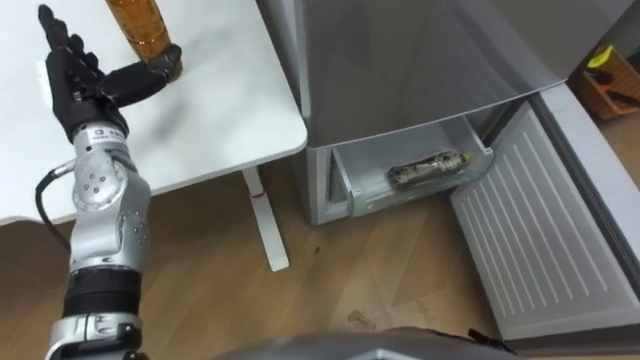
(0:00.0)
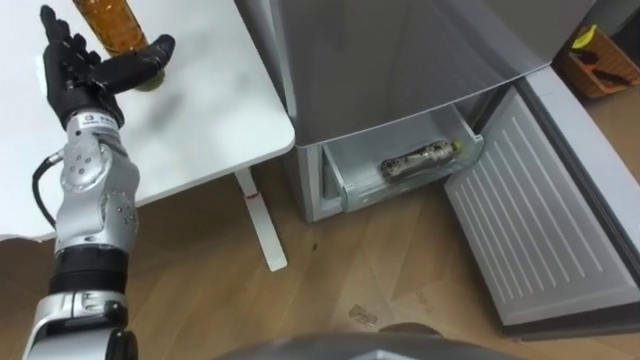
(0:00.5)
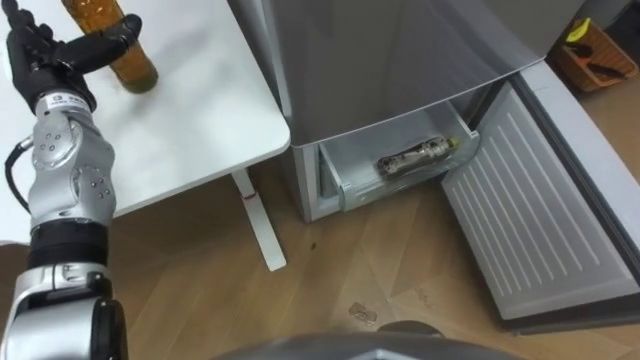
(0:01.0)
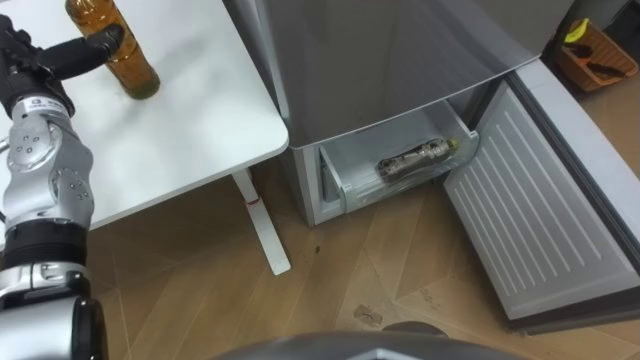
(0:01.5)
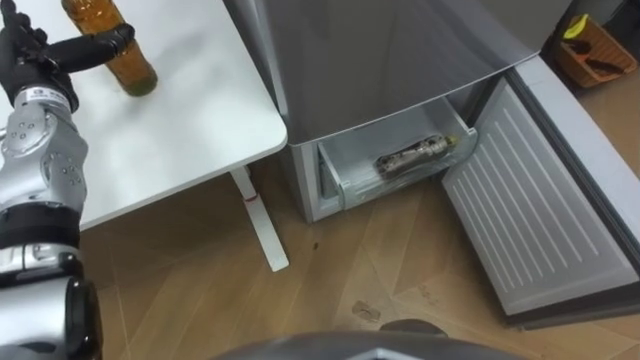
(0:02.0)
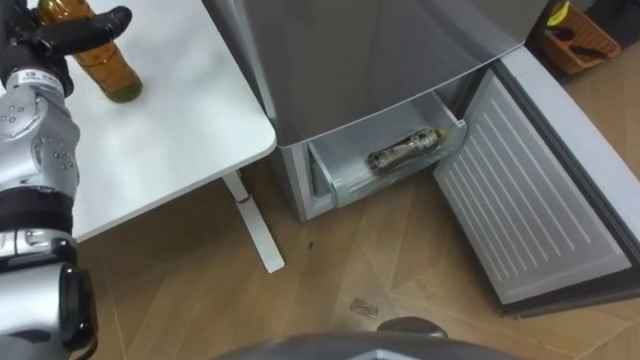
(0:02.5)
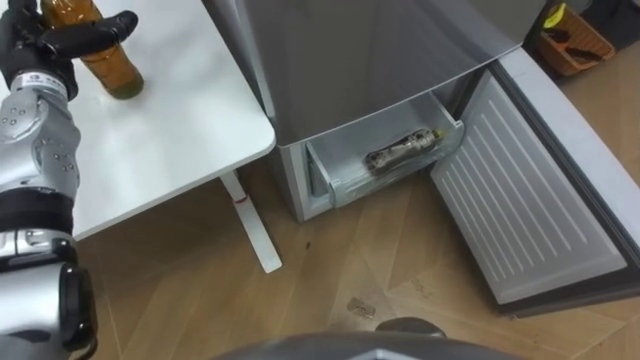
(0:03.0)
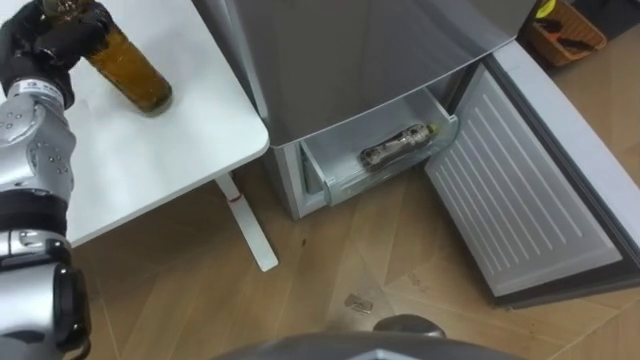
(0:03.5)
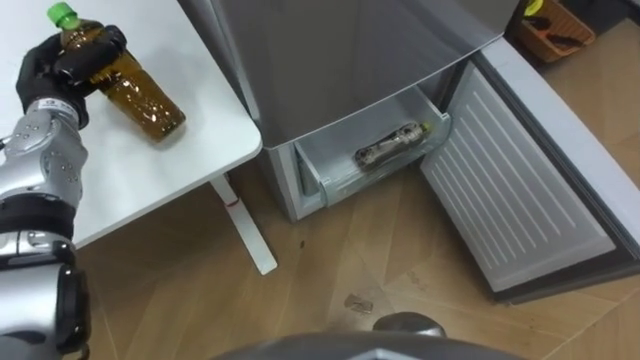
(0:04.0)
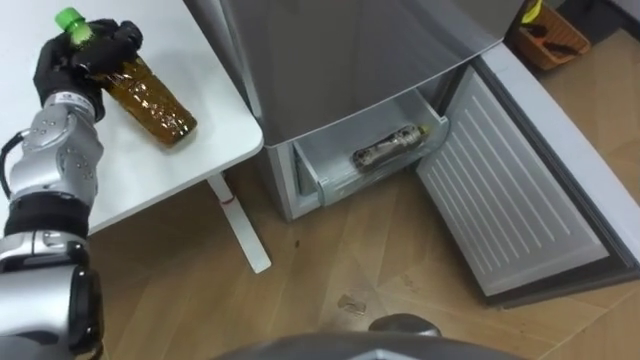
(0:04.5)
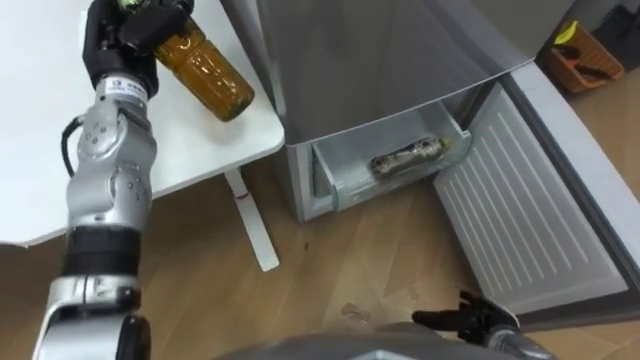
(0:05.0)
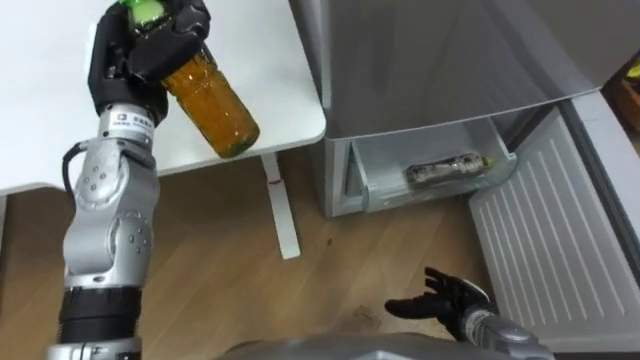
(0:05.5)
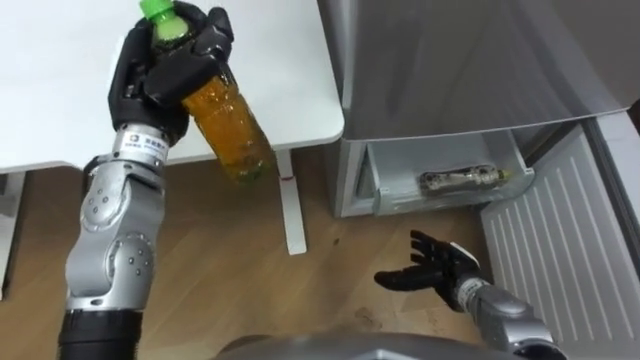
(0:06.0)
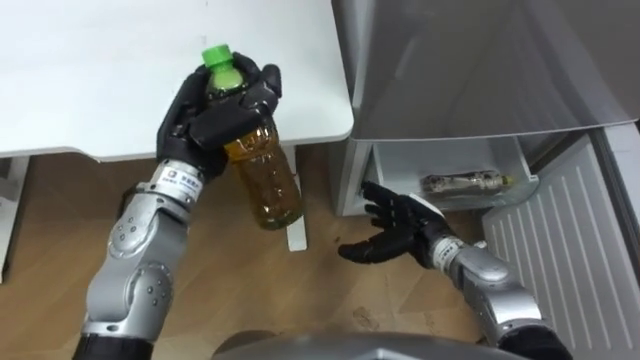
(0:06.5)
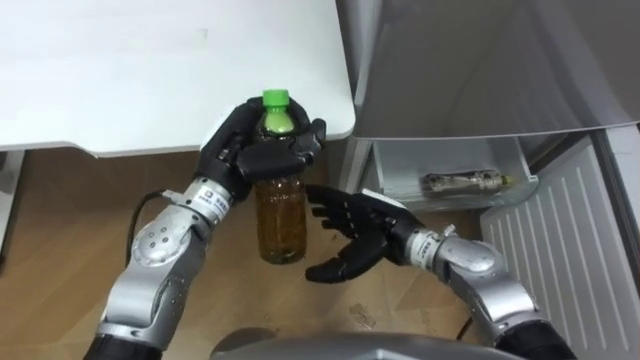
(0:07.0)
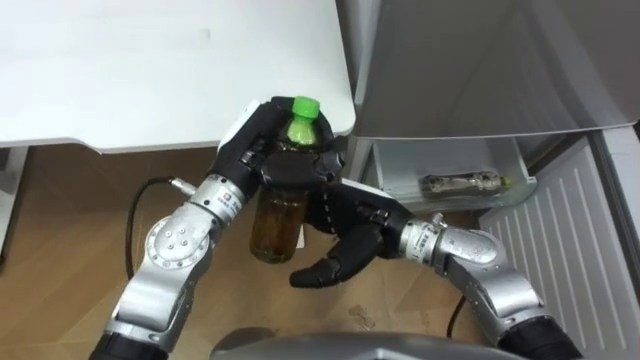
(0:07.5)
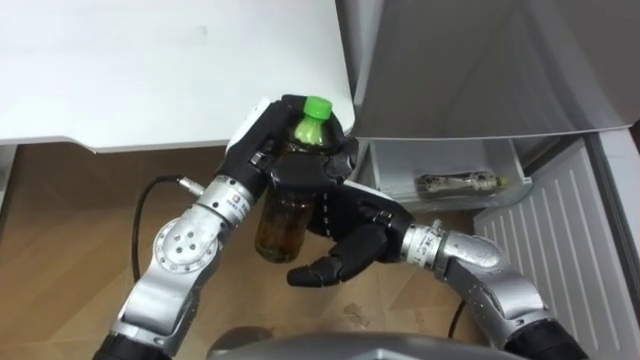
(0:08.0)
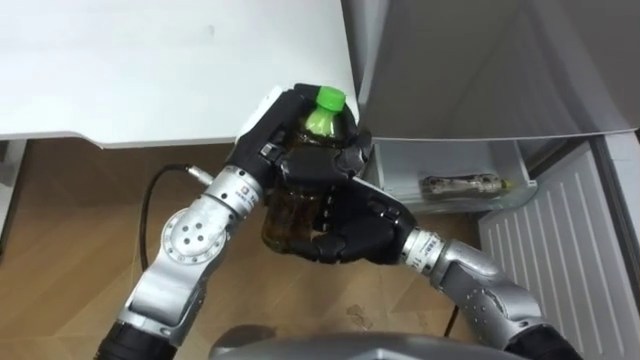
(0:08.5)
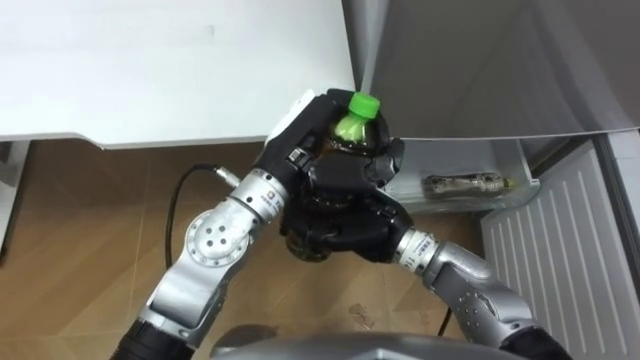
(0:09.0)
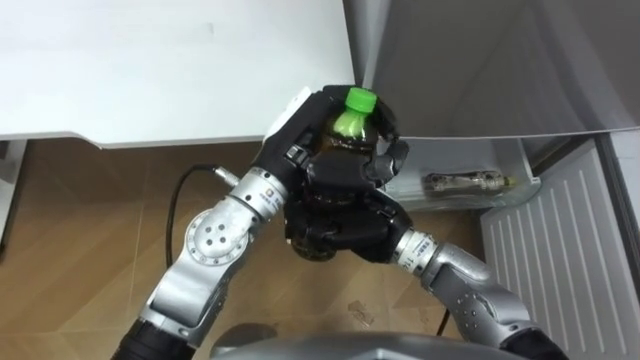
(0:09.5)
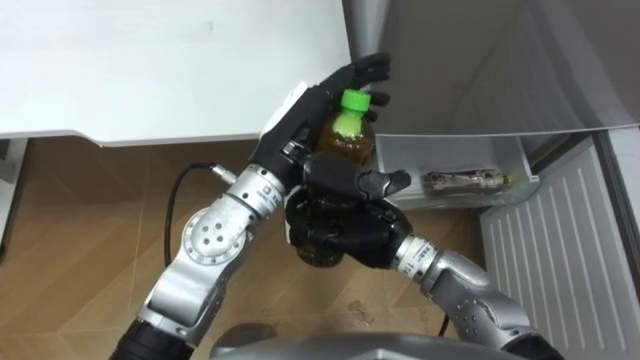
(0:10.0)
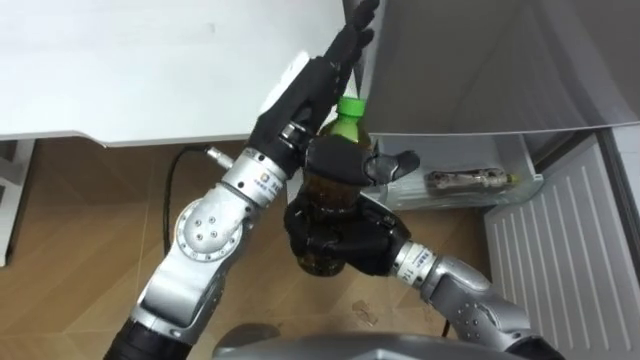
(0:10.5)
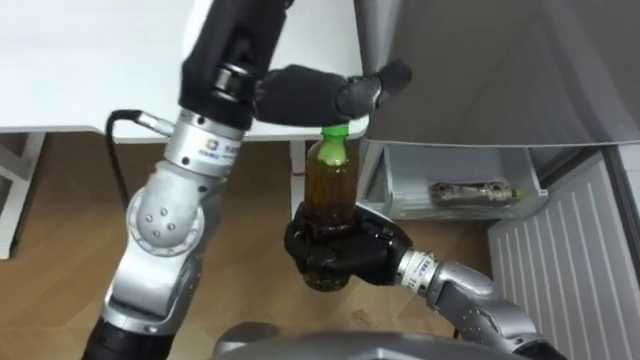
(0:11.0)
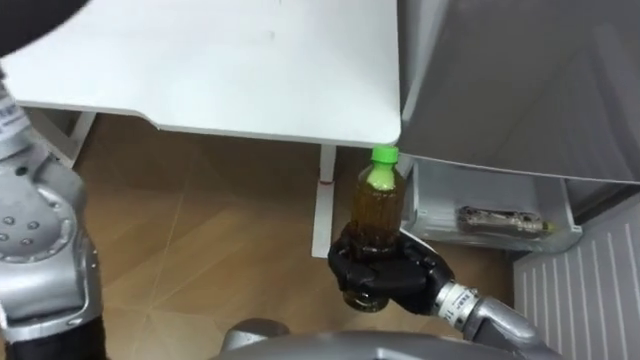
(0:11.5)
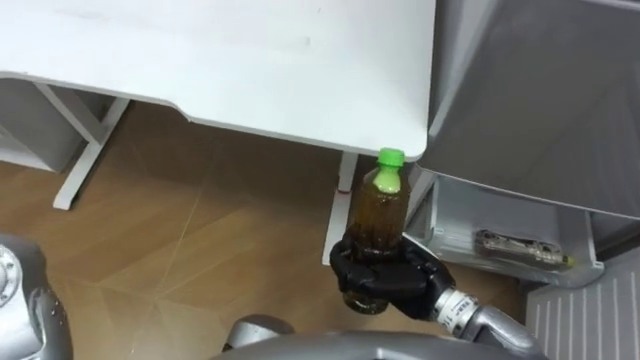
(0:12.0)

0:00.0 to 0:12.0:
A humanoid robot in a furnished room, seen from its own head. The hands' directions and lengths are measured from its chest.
Task of the whole recording: Place the drink on the table on the bottom shelf of the refrigerator, then close the drawer and the refrigerator door.
0:00.0 to 0:02.0: The left hand goes approximately 5 cm to the left.
0:02.0 to 0:04.0: The left hand closes up.
0:04.0 to 0:06.0: The left hand shifts about 15 cm to the right and upward.
0:06.0 to 0:08.0: The right hand travels upward and to the left by some 20 cm. The left hand heads to the right, covering approximately 10 cm.
0:08.0 to 0:10.0: The left hand opens; the right hand closes up.
0:10.0 to 0:12.0: The right hand is displaced to the right and backward by roughly 10 cm.

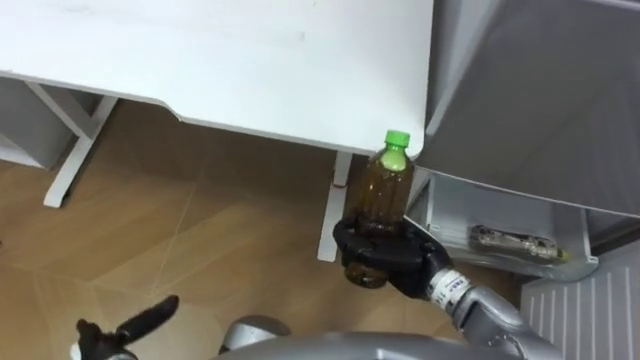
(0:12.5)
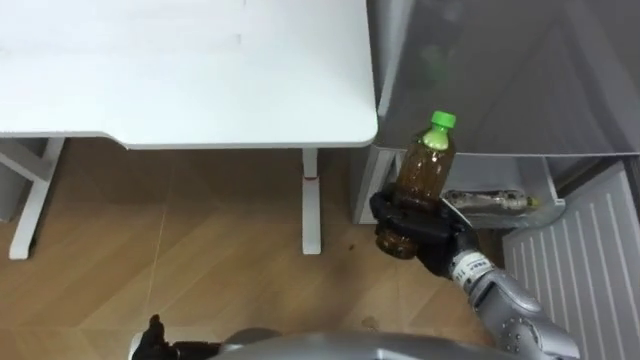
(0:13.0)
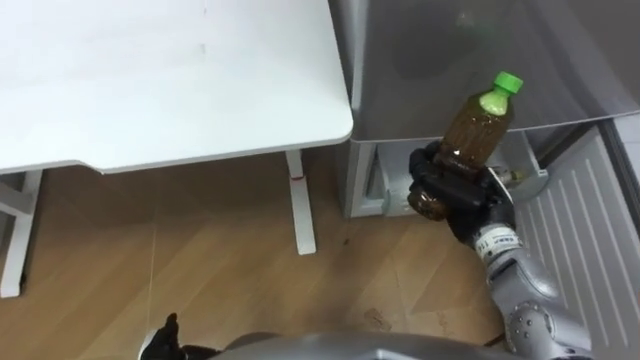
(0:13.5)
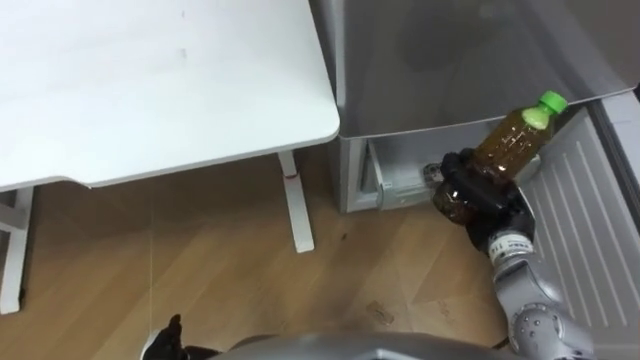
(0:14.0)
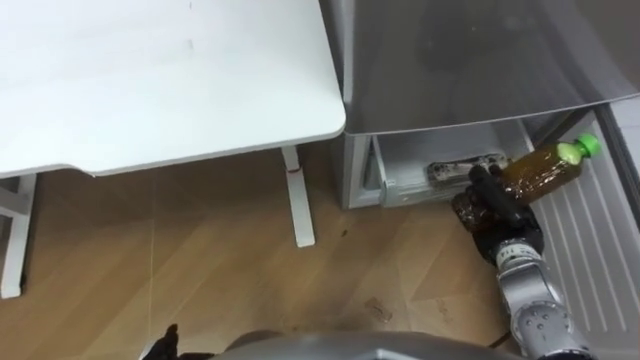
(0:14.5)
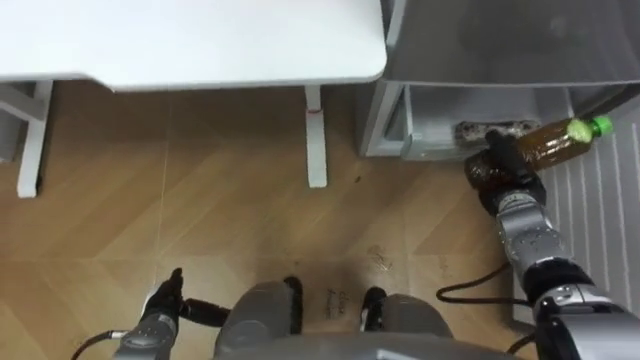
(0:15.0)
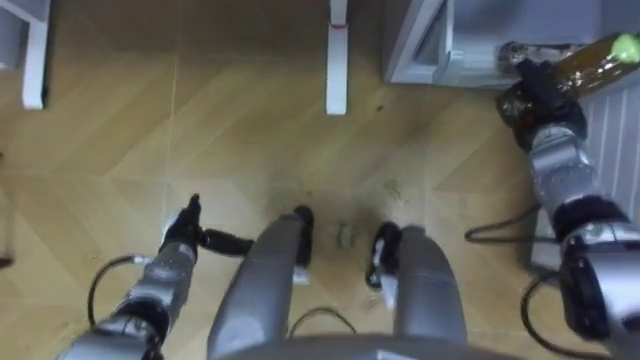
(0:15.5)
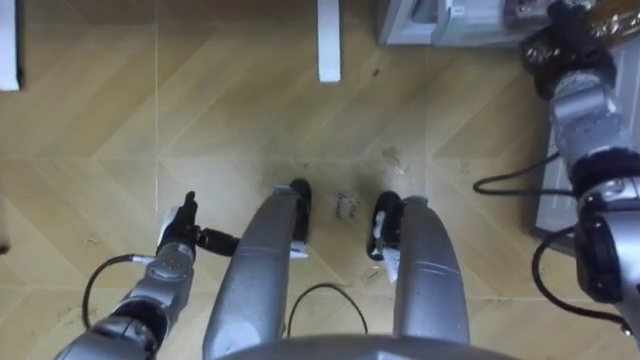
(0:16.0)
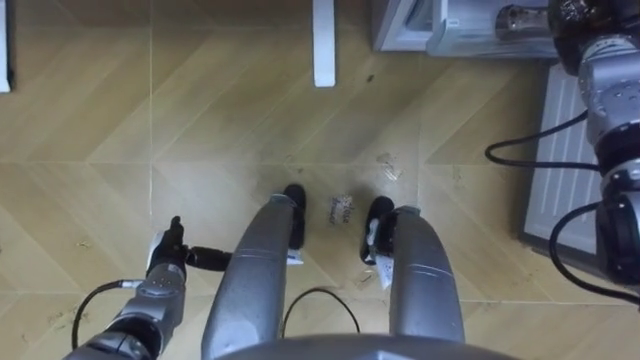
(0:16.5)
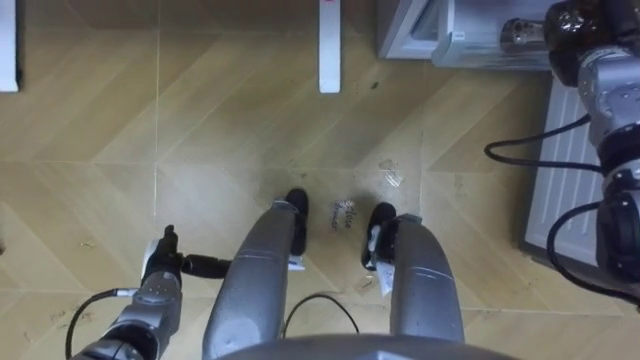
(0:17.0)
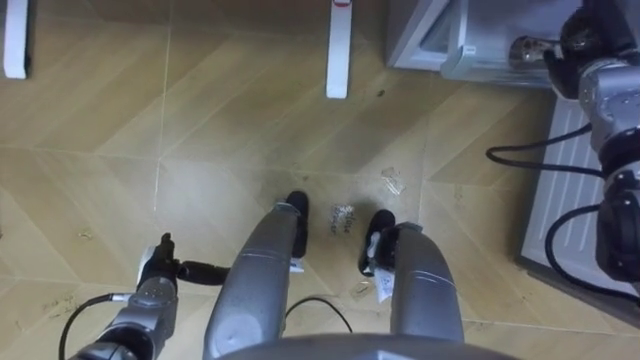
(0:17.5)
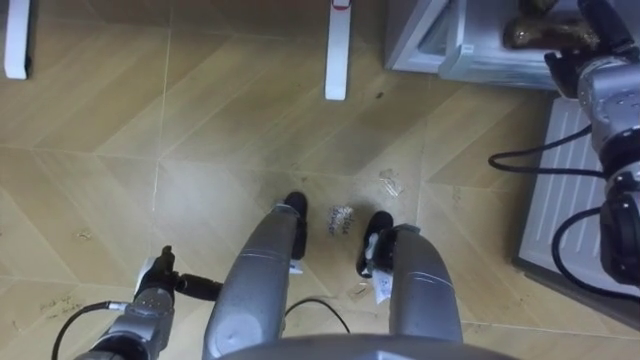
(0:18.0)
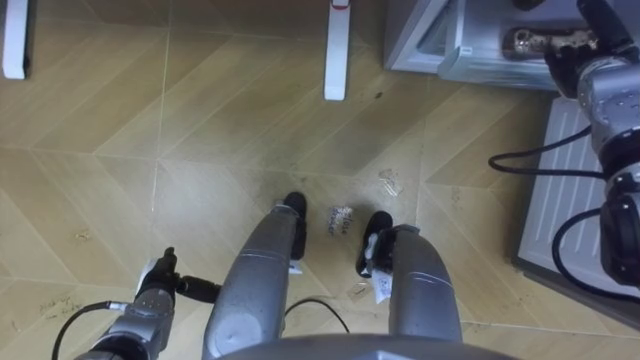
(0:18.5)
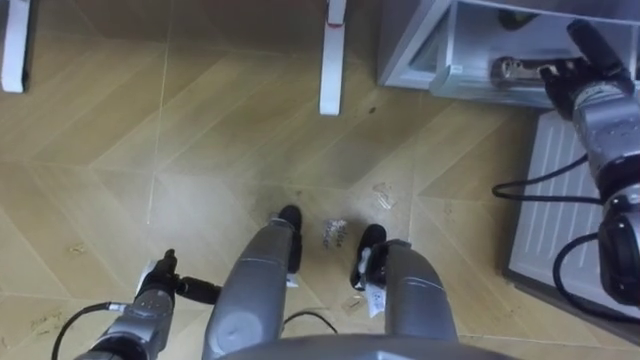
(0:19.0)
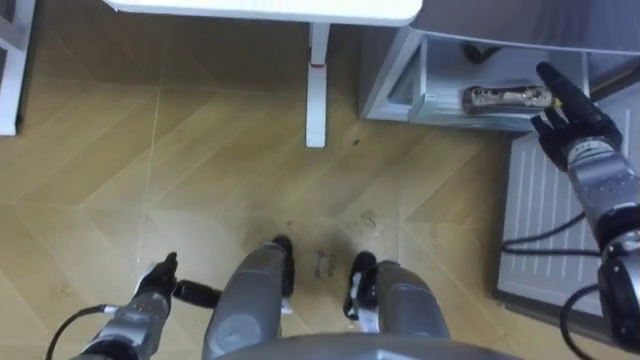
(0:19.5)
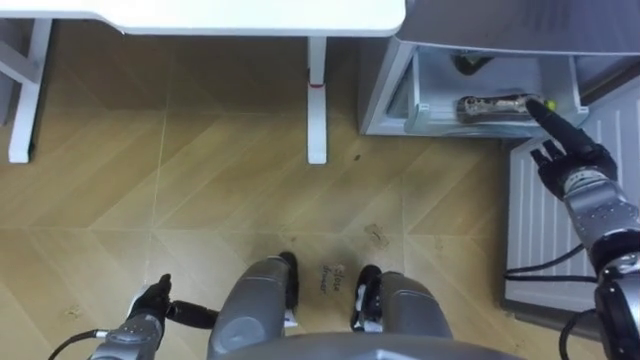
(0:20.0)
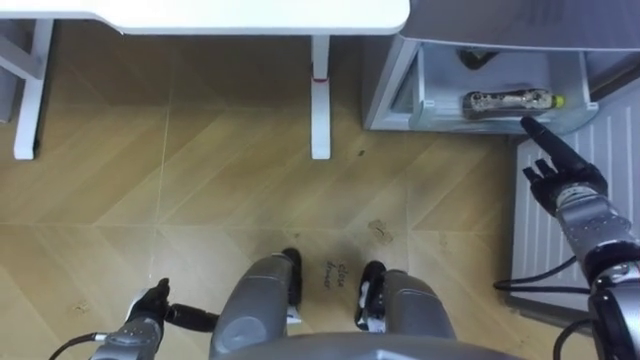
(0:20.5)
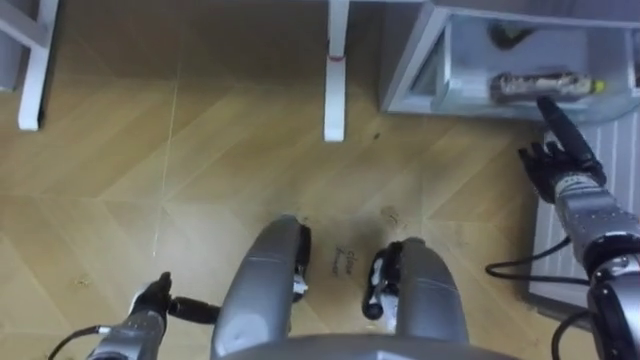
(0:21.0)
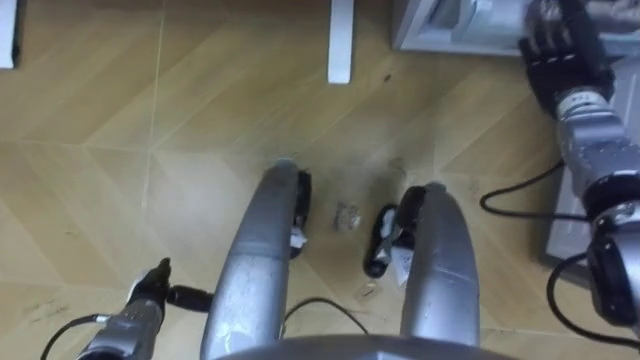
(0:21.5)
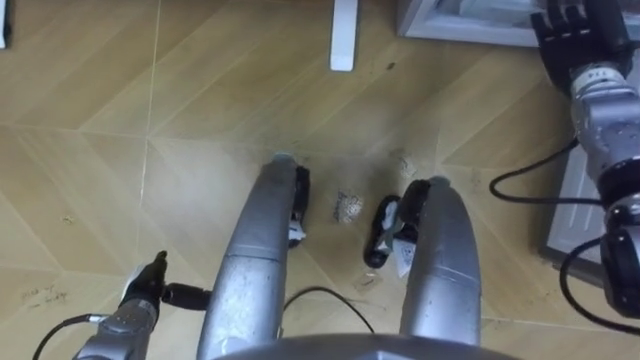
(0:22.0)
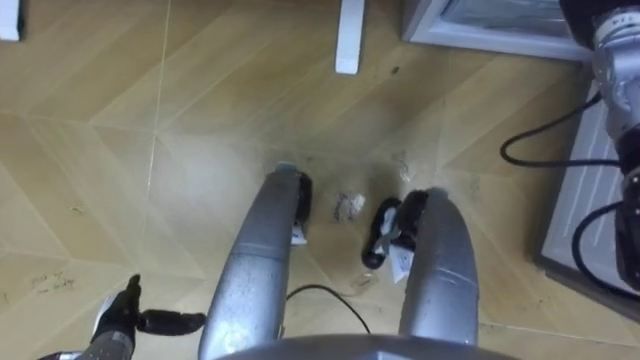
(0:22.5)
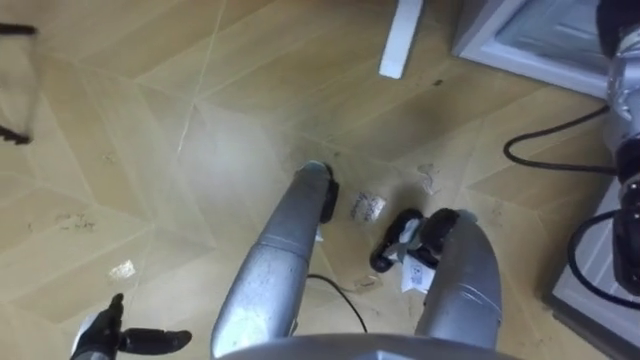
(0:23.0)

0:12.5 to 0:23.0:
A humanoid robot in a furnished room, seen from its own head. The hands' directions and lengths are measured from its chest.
Task of the whole recording: Place the drink on the table on the bottom shelf of the refrigerator, then close the drawer and the refrigerator door.
0:12.5 to 0:14.5: The right hand is displaced to the right by some 15 cm.
0:14.5 to 0:16.5: The right hand shifts some 25 cm forward and upward.
0:16.5 to 0:19.0: The right hand travels downward by approximately 5 cm, and opens its fingers.
0:19.0 to 0:21.0: The right hand heads downward and backward, covering roughly 15 cm.
0:21.0 to 0:23.0: The left hand goes approximately 5 cm to the left and backward.
